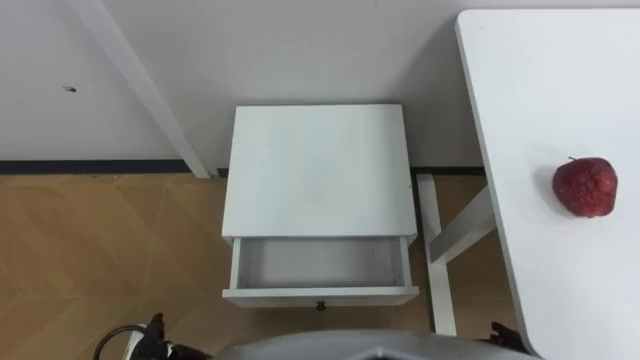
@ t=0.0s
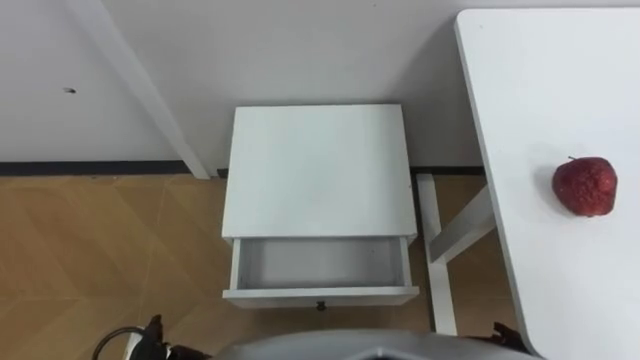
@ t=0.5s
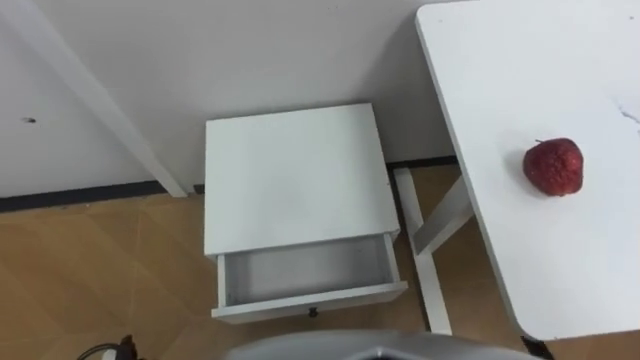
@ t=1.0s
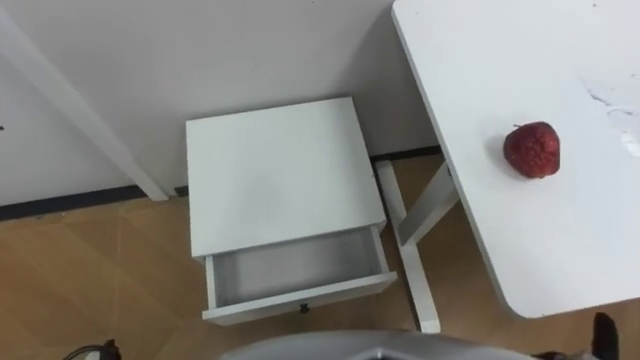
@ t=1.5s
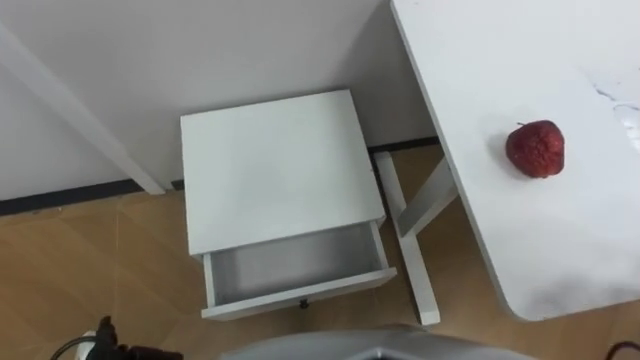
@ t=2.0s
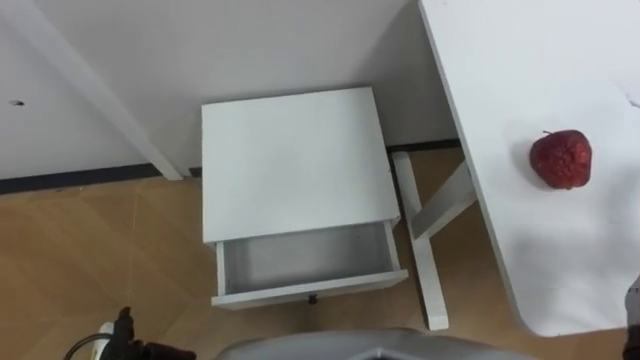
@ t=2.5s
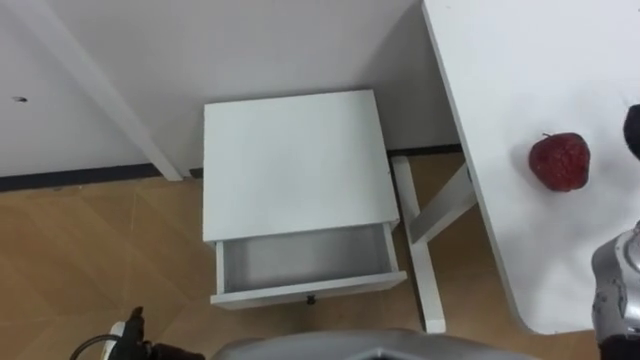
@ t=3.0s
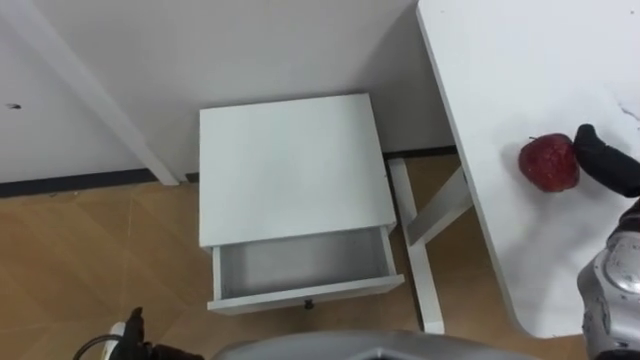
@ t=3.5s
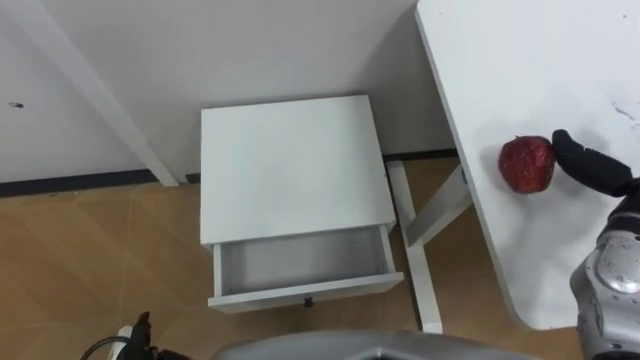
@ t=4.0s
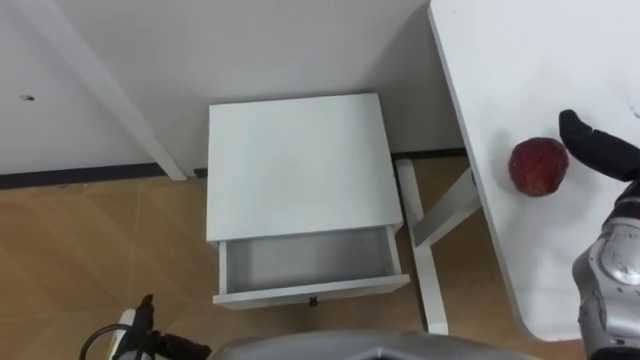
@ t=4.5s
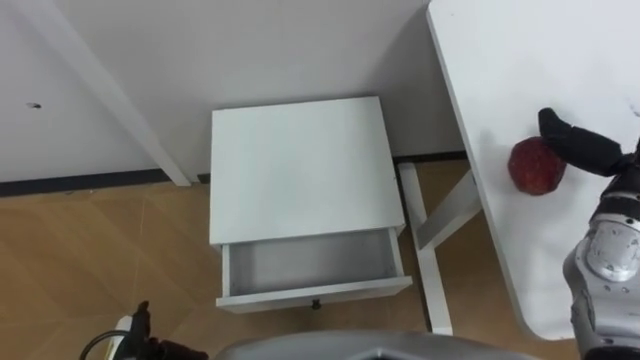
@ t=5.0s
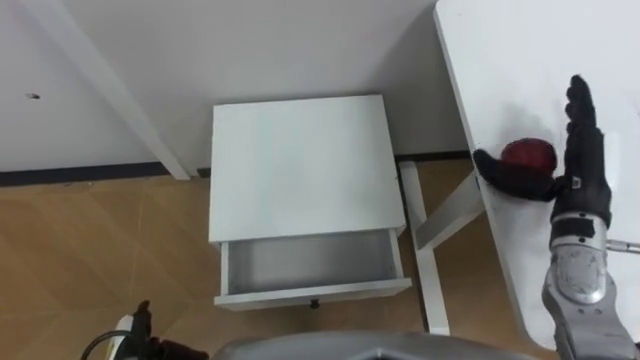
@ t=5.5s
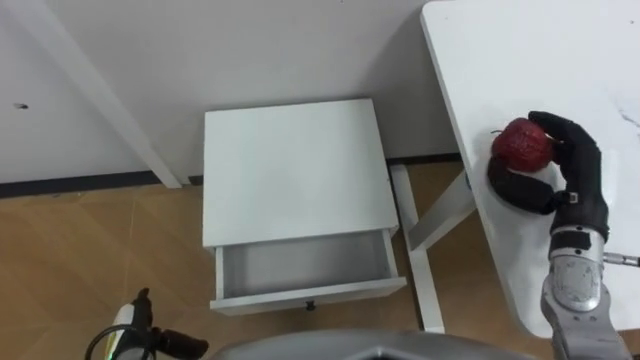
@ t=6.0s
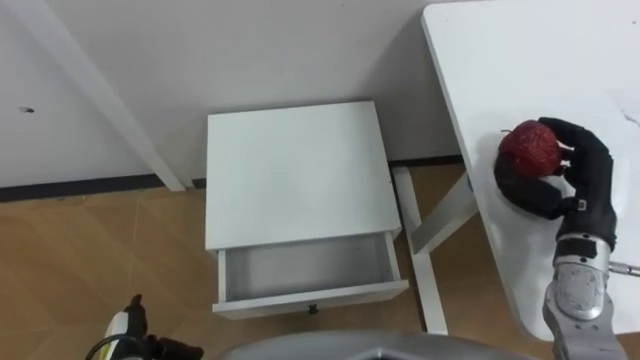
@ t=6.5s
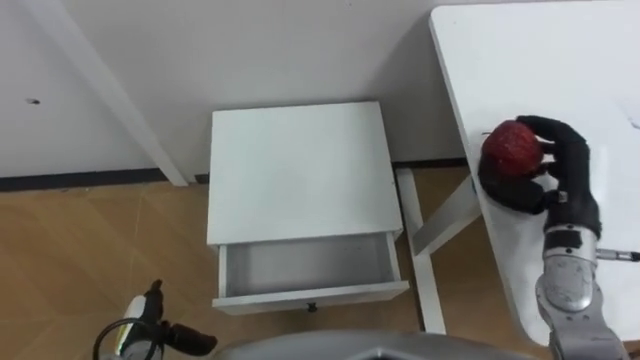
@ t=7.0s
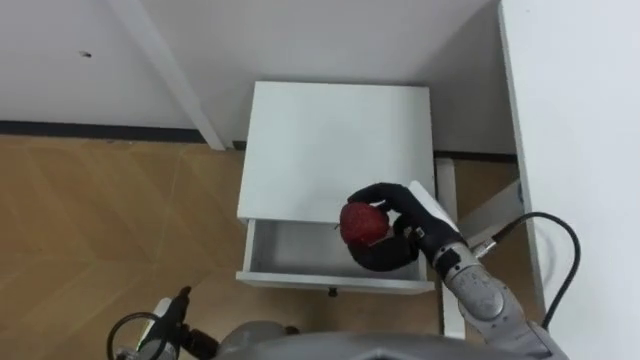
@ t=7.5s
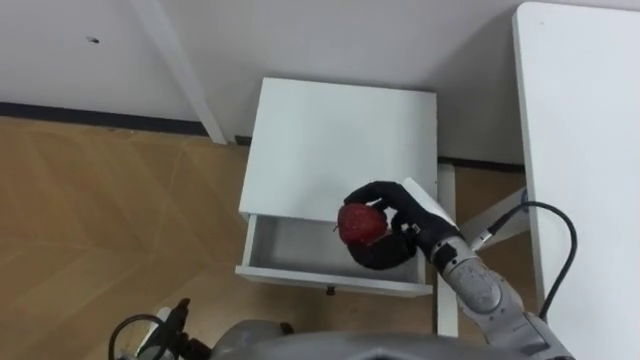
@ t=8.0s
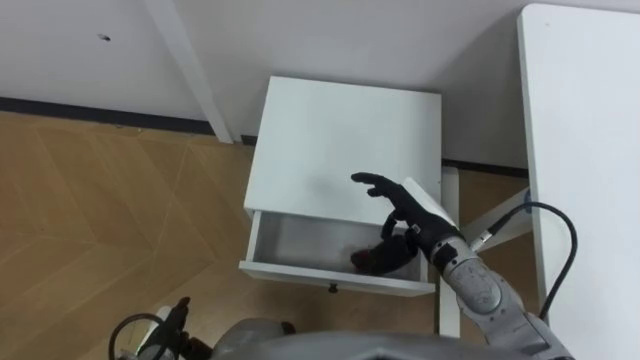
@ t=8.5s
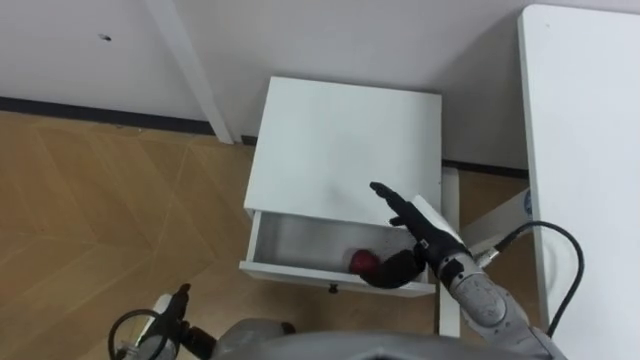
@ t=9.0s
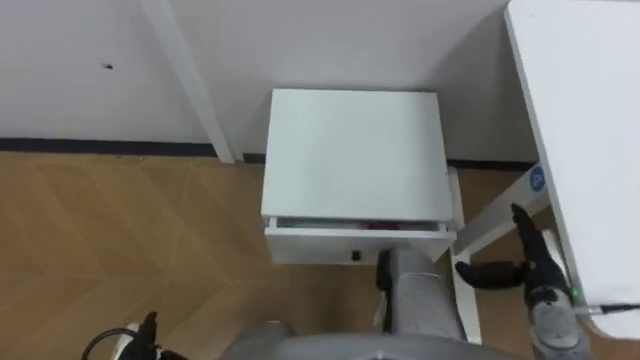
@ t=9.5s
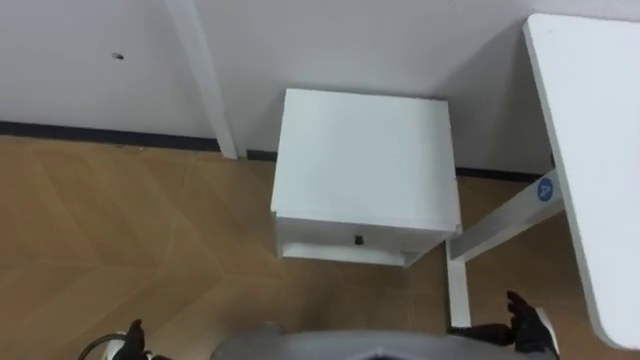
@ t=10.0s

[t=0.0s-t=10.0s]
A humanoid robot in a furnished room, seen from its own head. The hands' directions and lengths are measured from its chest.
Task of the whole recording: Pick up the apple from the table, put it in the drawer, and close the drawer with leg.
t=6.0s to t=8.0s: The right hand moves to the left, some 15 cm.
t=8.0s to t=10.0s: The right hand travels to the right, backward and downward by about 25 cm, and opens up.
